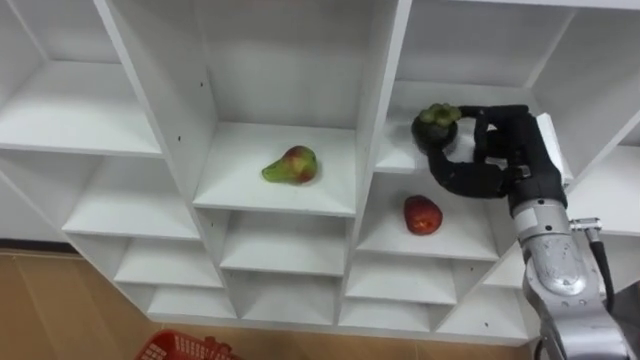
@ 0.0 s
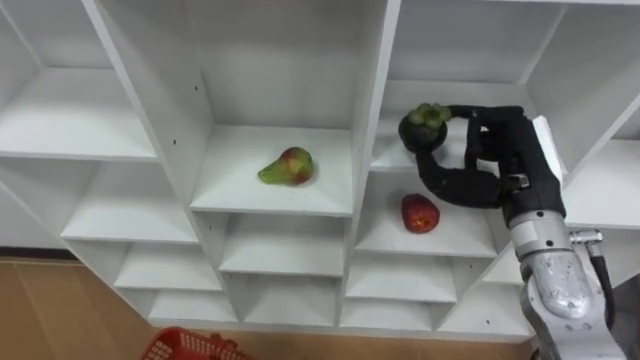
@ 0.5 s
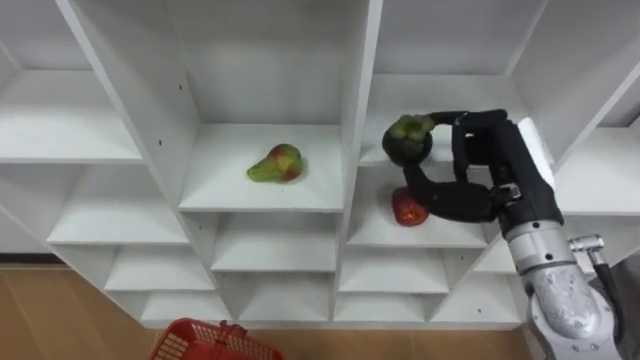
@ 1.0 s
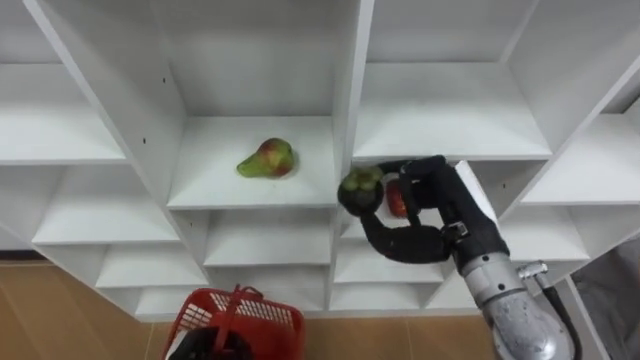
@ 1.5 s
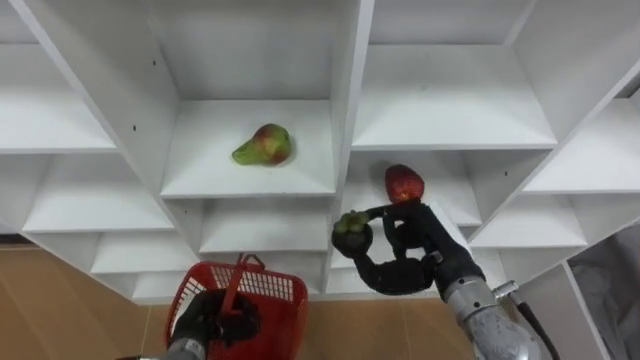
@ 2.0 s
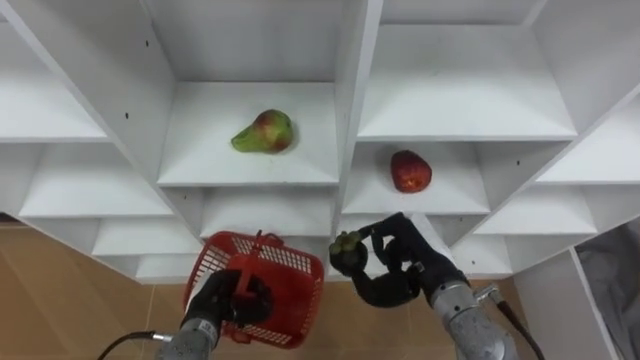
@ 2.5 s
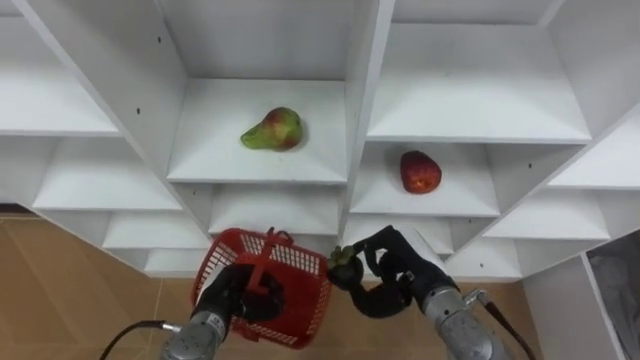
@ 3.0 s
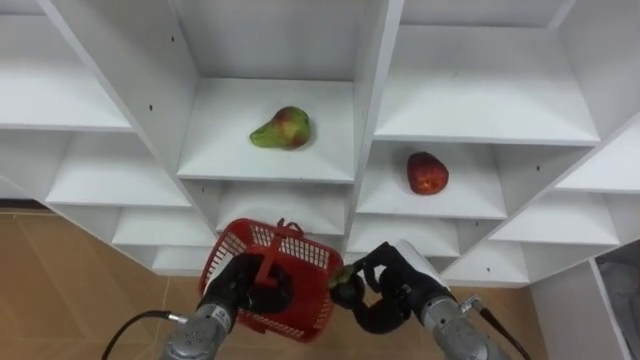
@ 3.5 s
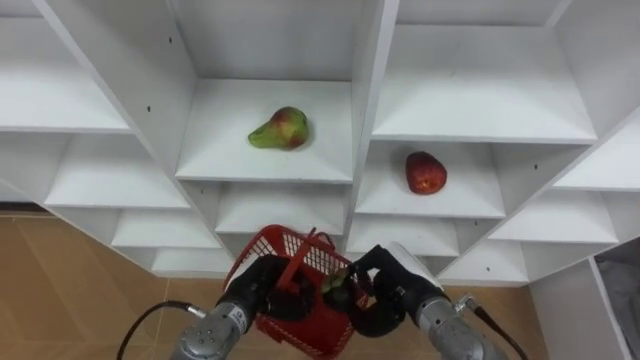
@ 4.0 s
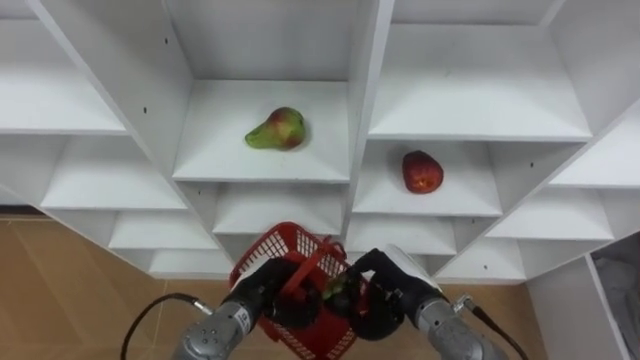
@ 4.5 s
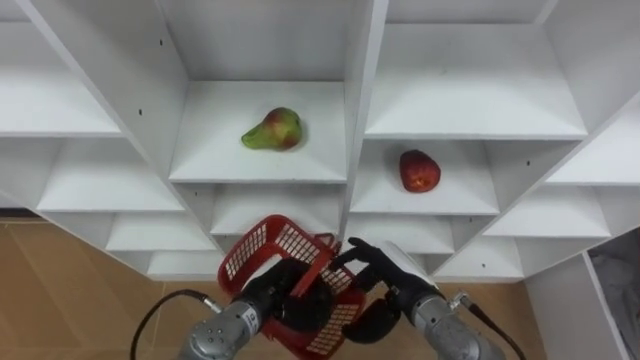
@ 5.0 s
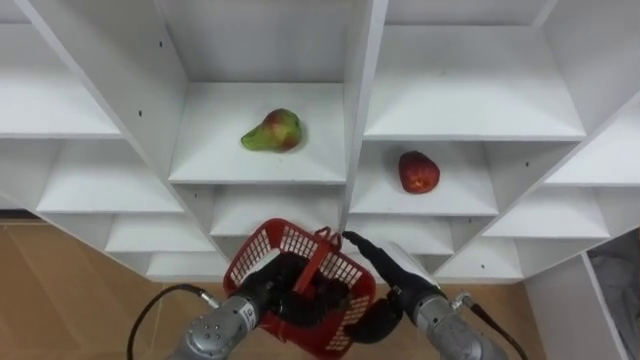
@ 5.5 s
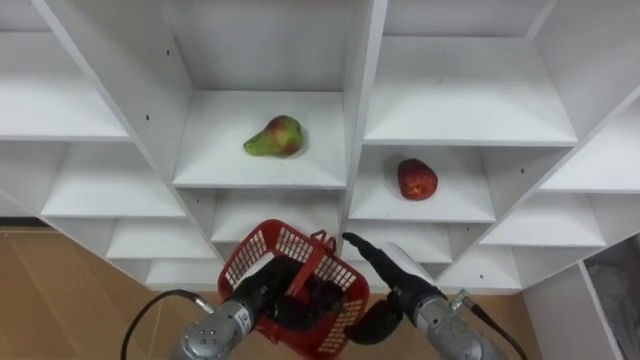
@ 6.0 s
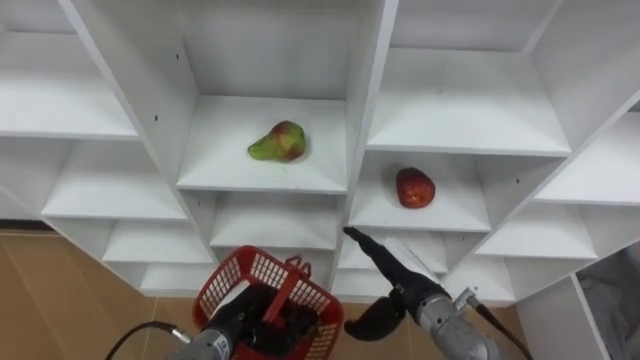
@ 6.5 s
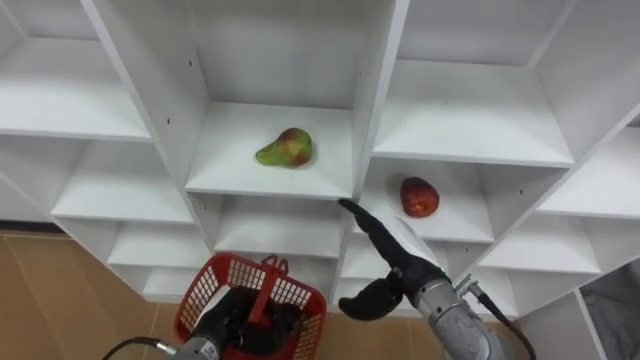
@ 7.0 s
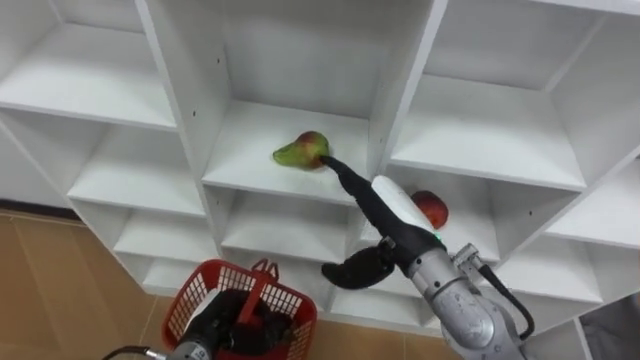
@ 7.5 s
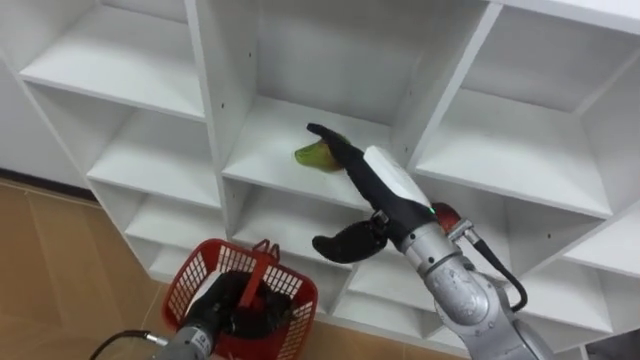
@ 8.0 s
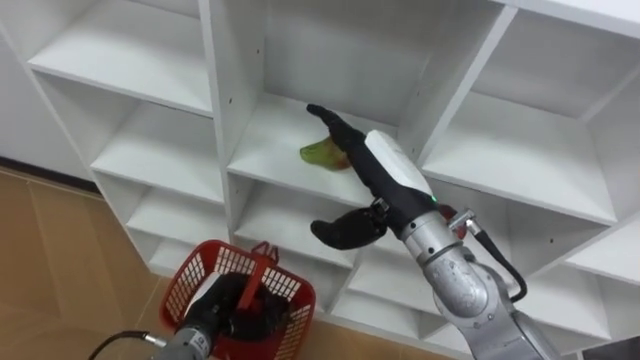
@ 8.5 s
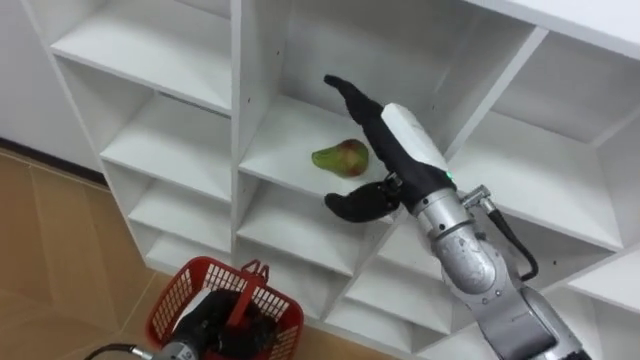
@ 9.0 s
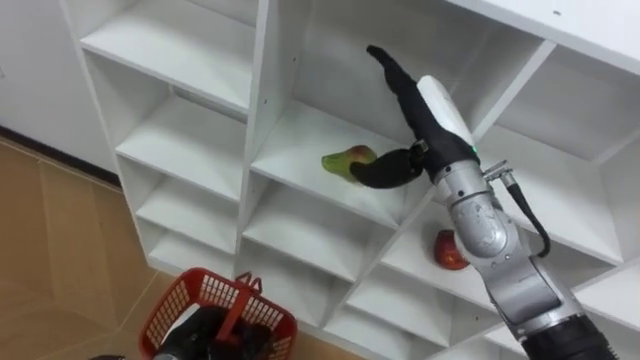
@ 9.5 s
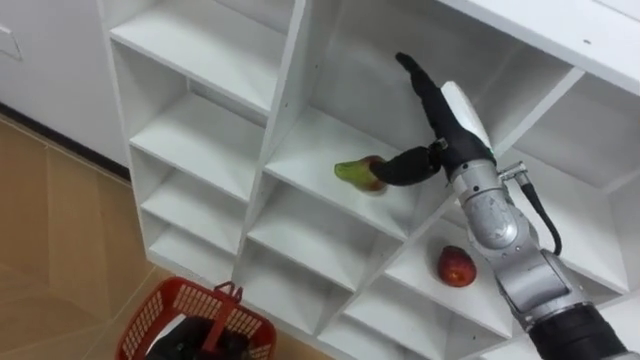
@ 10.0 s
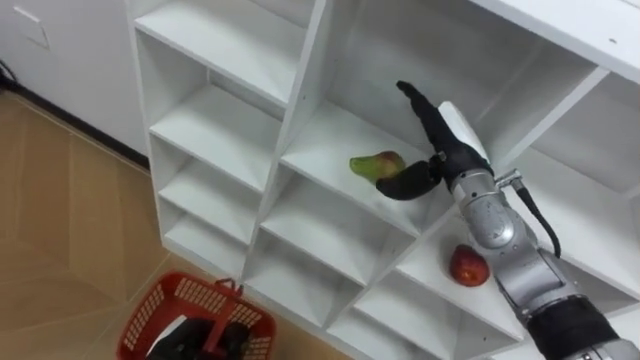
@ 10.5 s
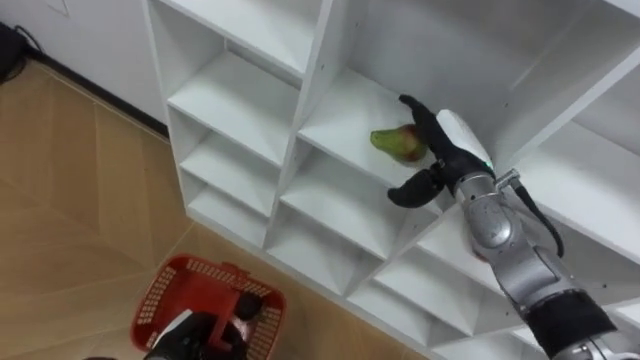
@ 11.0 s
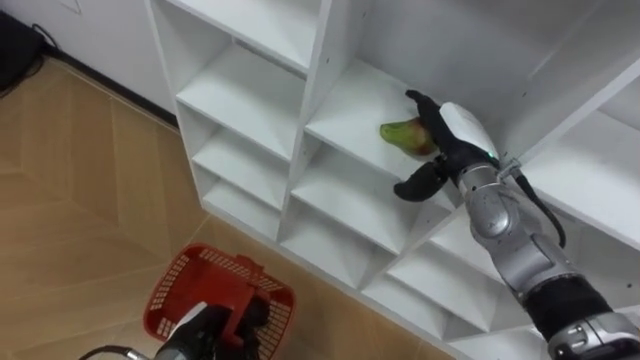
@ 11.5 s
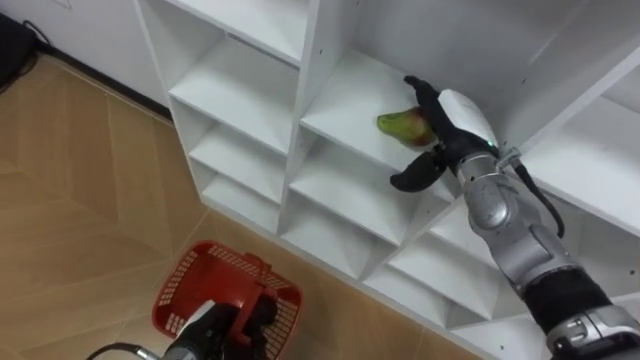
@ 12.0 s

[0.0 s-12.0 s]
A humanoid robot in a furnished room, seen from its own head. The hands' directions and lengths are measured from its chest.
Task of the whole recording: Hold the basket and collect the fruits from 3 different cells of the closet into it.
0.0 to 2.0 s: The right hand is displaced to the left, downward and backward by roughly 15 cm.
2.0 to 4.0 s: The left hand moves to the right, approximately 10 cm; the right hand shifts roughly 10 cm downward.
4.0 to 6.0 s: The right hand opens its fingers.
6.0 to 8.0 s: The right hand heads upward, covering approximately 15 cm; the left hand travels to the left by some 5 cm.
8.0 to 10.0 s: The left hand moves backward, some 5 cm. Meanwhile the right hand goes some 10 cm to the right and forward.

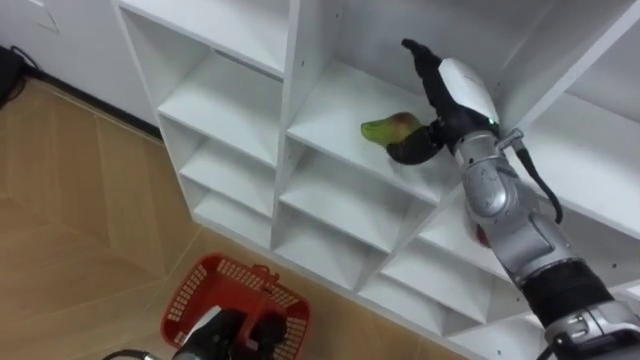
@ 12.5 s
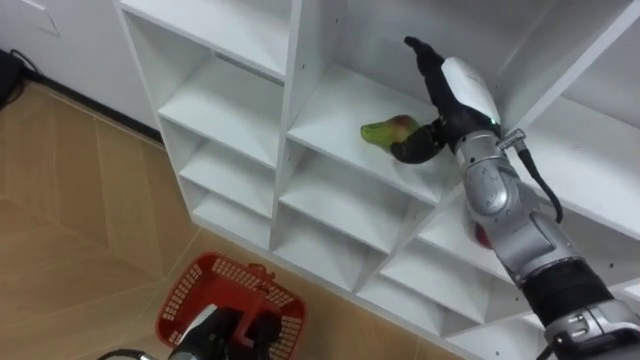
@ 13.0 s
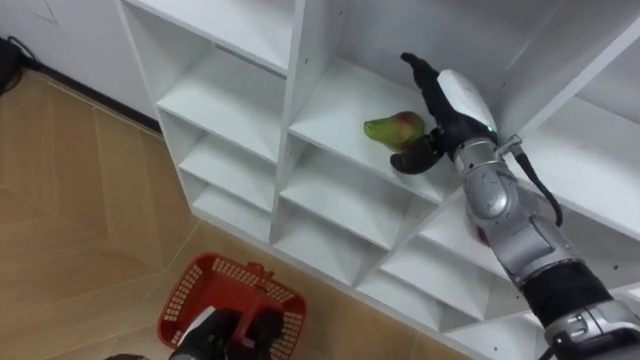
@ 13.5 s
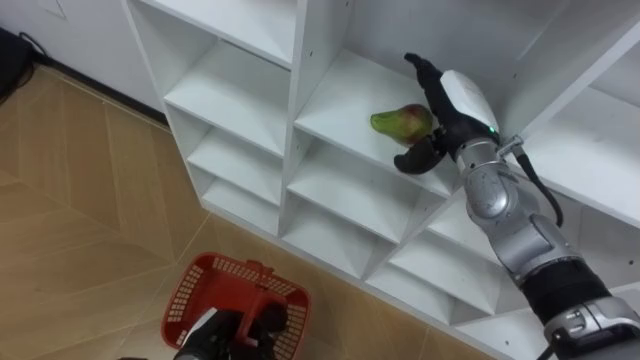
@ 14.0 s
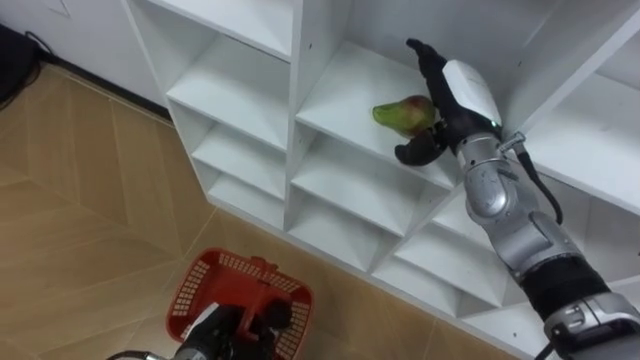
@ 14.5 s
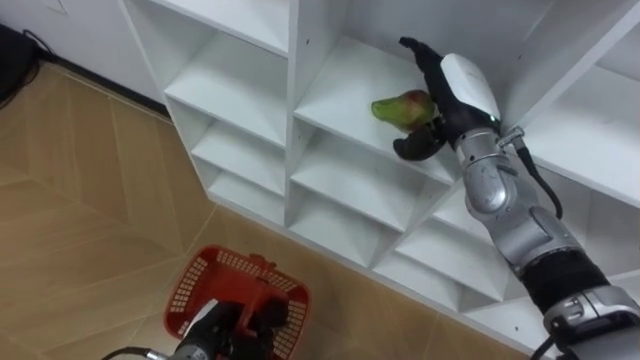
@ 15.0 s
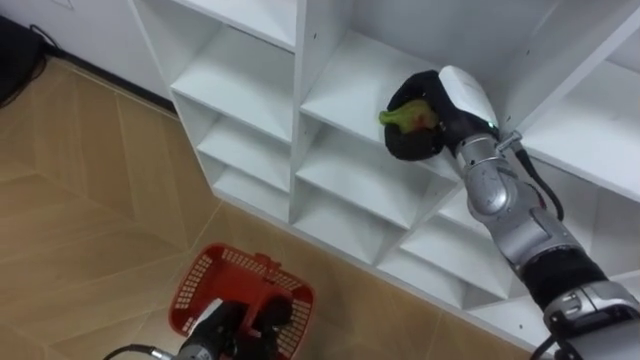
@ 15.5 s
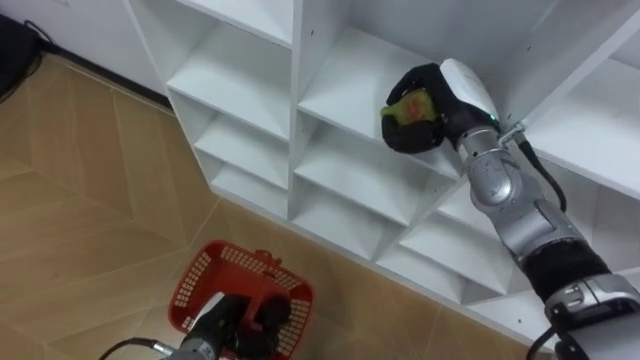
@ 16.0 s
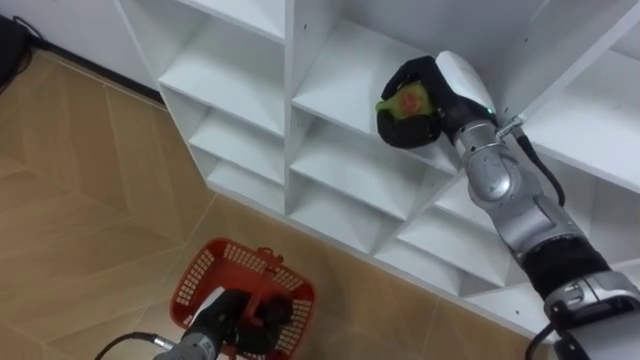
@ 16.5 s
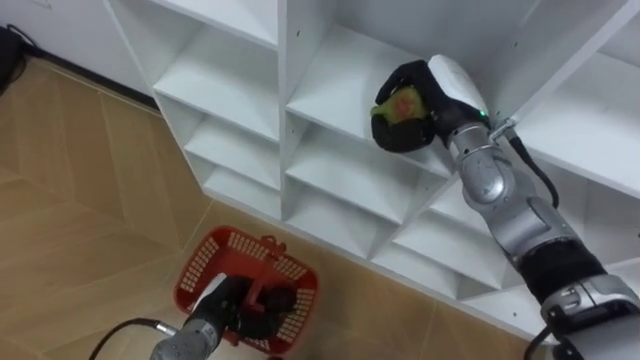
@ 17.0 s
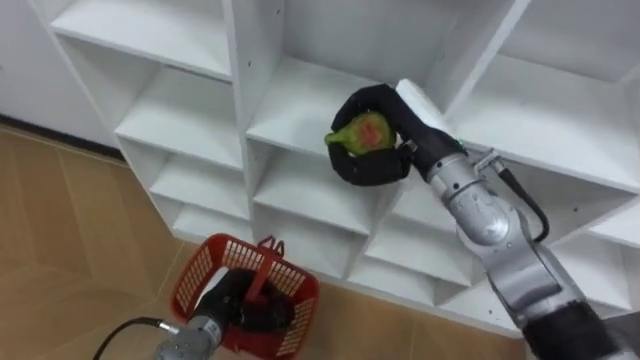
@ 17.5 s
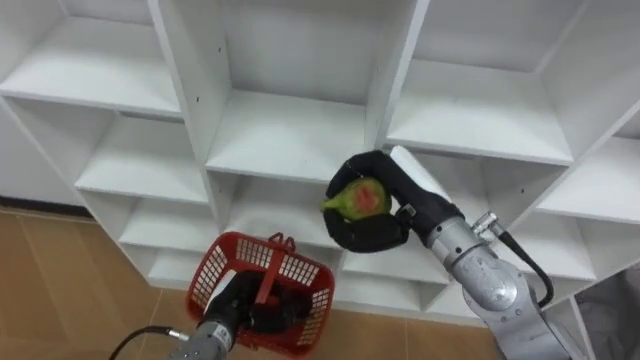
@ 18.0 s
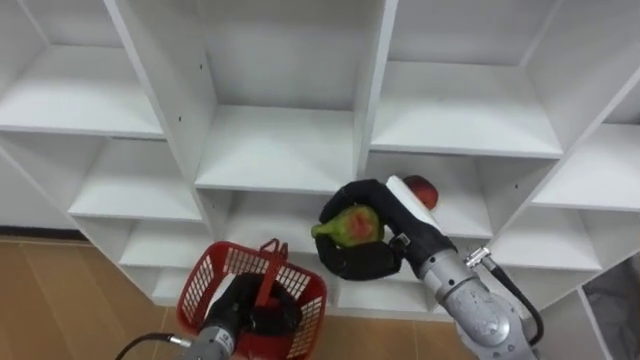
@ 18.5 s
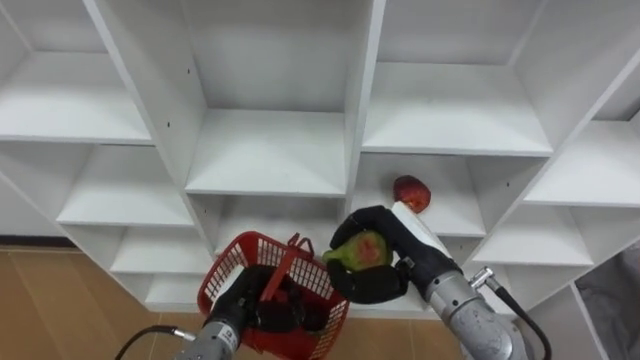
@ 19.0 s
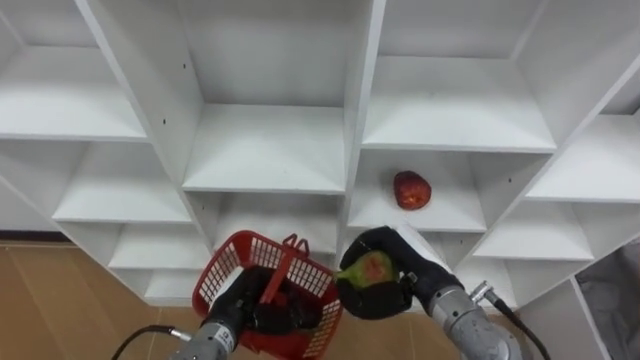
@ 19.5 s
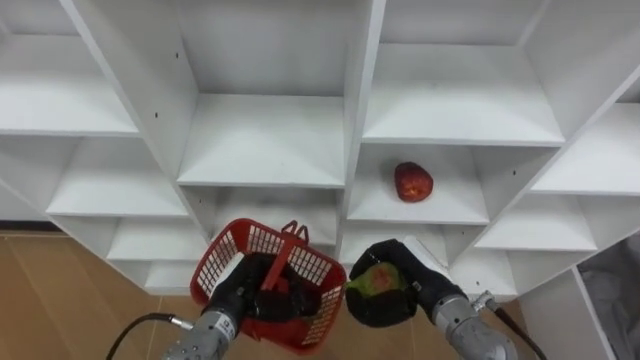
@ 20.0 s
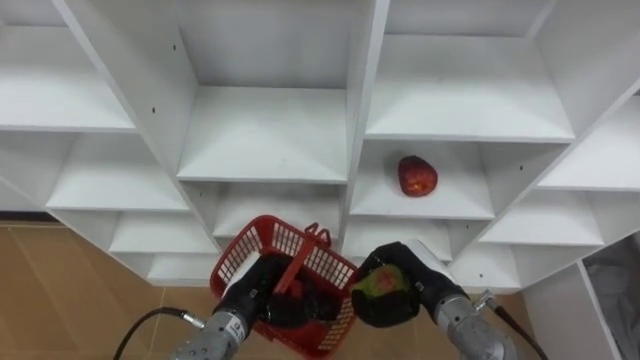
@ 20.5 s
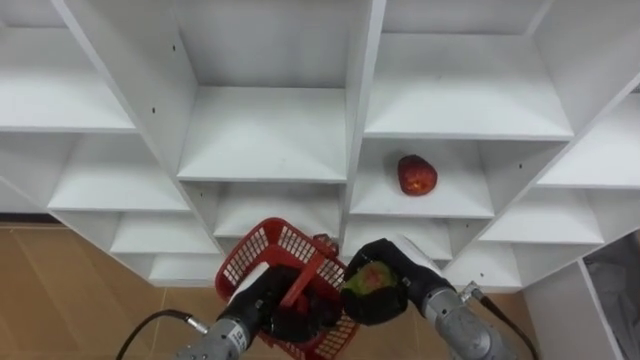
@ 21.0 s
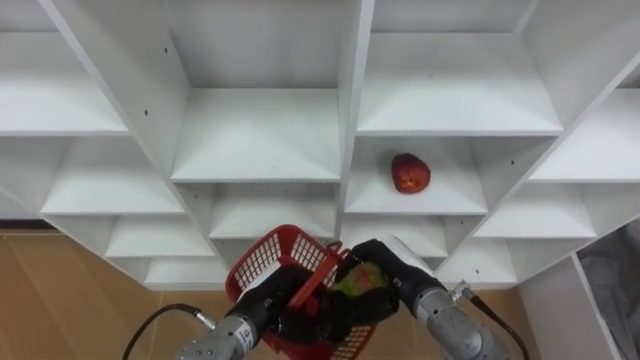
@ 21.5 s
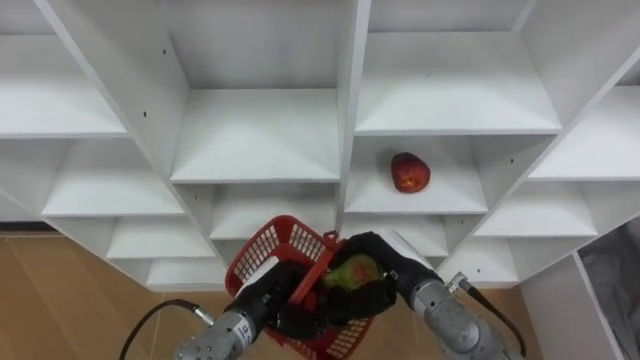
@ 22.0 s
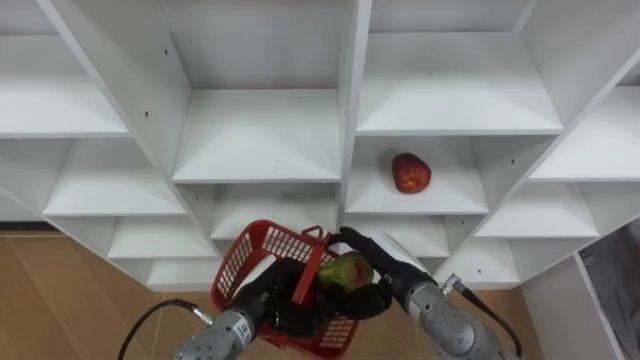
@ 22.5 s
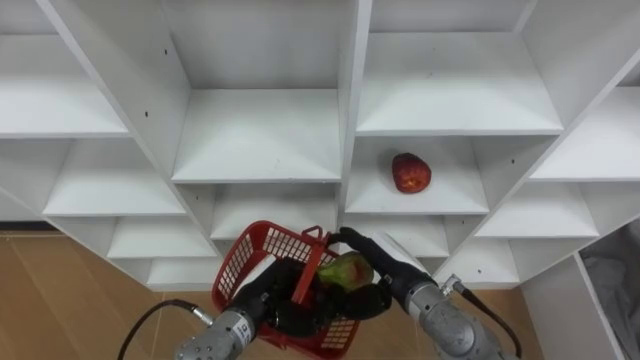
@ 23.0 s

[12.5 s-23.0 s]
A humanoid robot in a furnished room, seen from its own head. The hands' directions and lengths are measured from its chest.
Task of the whole recording: Hold the basket and collect the fruits from 3 different cells of the closet into it.
14.5 to 16.5 s: The right hand closes.
16.5 to 19.0 s: The left hand moves approximately 5 cm. Meanwhile the right hand travels backward and downward by some 20 cm.
19.0 to 21.0 s: The right hand goes some 10 cm downward.
21.0 to 23.0 s: The right hand opens.
